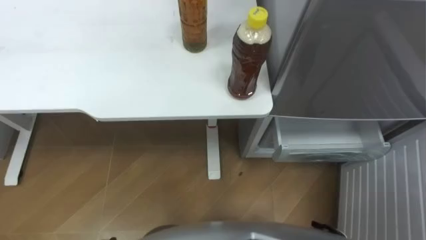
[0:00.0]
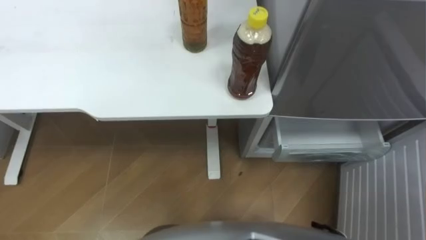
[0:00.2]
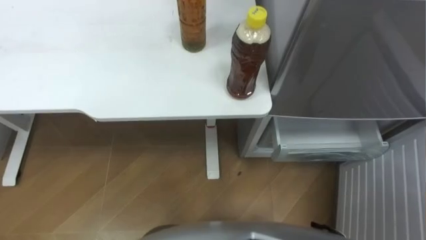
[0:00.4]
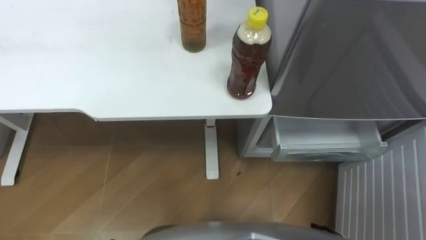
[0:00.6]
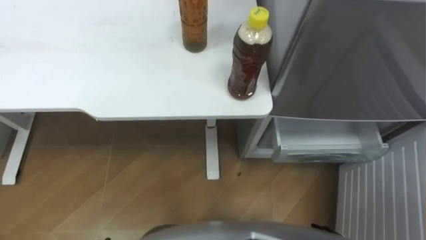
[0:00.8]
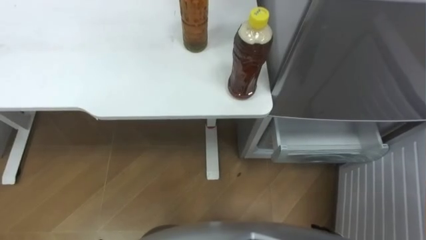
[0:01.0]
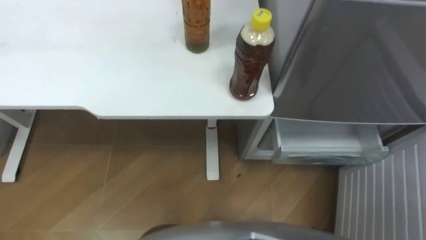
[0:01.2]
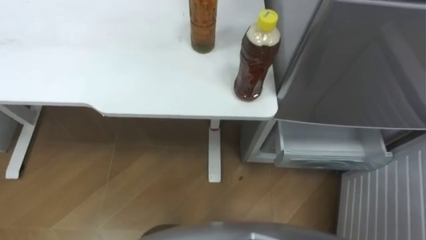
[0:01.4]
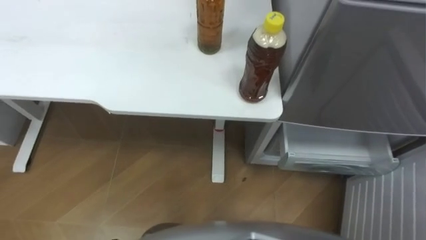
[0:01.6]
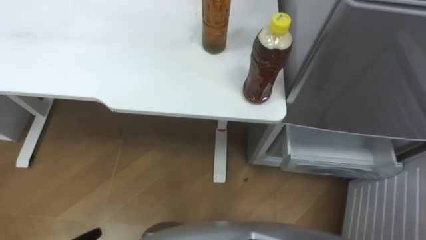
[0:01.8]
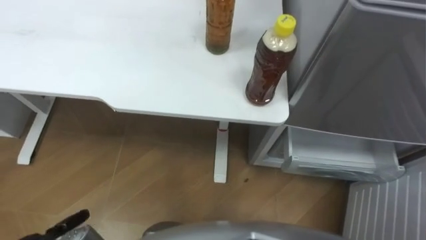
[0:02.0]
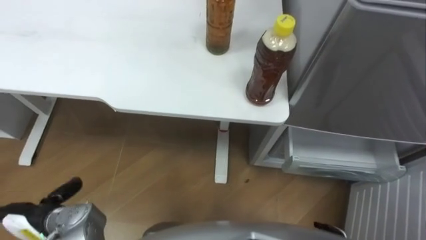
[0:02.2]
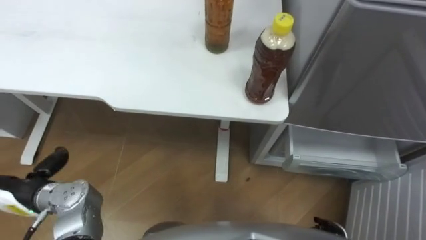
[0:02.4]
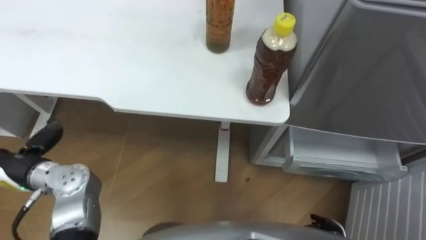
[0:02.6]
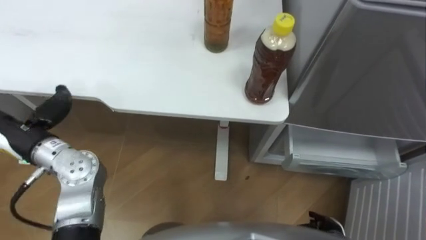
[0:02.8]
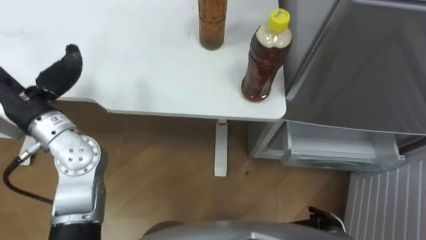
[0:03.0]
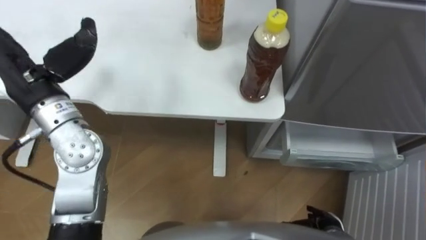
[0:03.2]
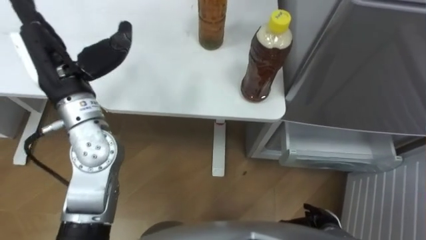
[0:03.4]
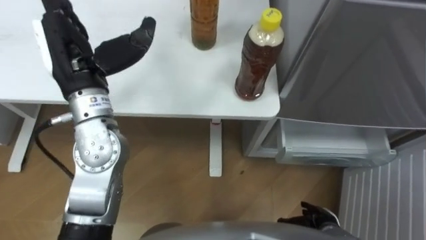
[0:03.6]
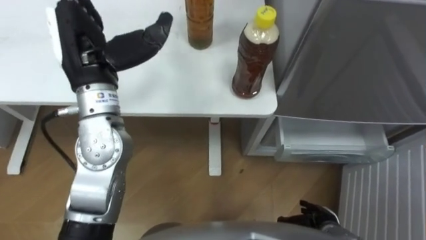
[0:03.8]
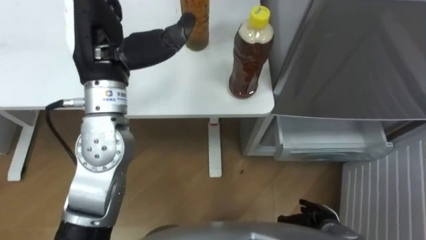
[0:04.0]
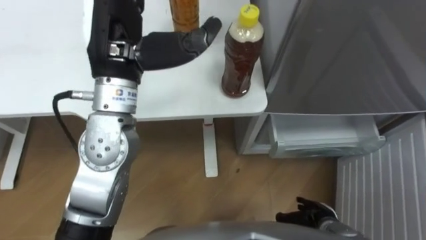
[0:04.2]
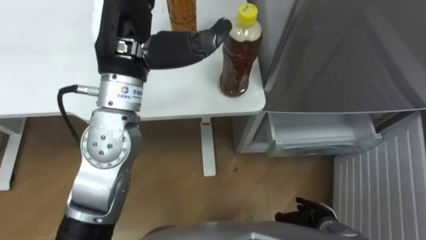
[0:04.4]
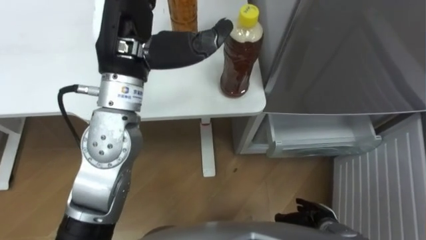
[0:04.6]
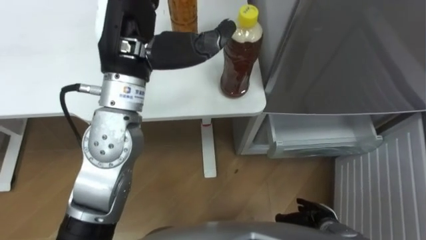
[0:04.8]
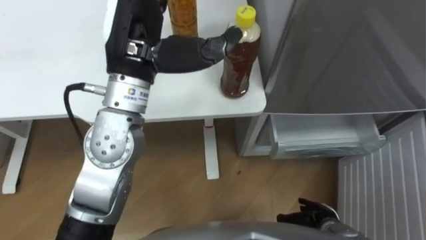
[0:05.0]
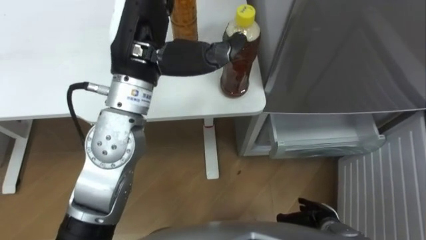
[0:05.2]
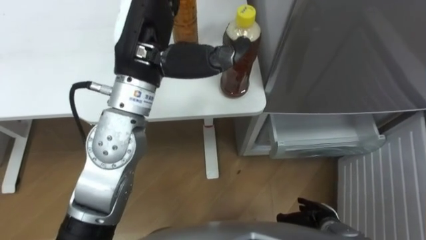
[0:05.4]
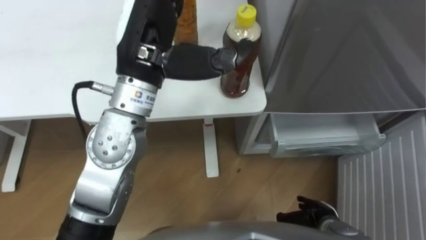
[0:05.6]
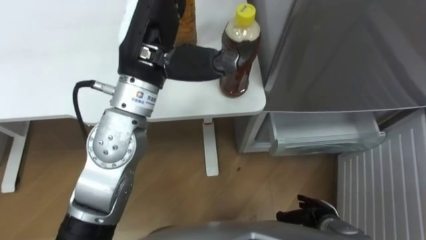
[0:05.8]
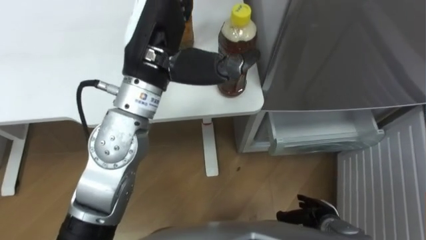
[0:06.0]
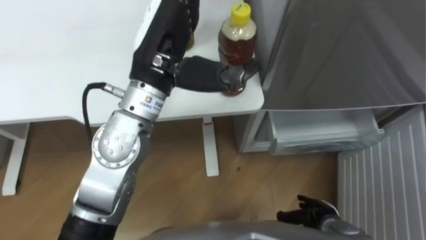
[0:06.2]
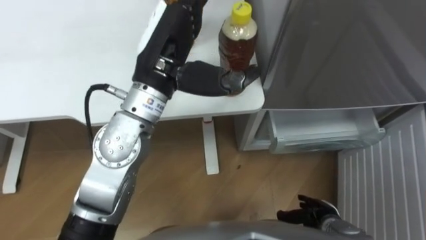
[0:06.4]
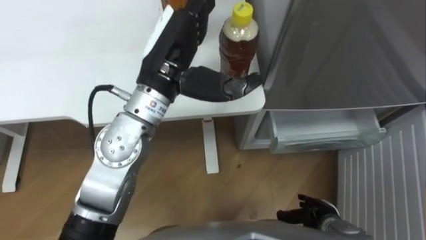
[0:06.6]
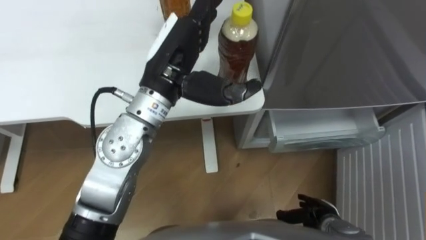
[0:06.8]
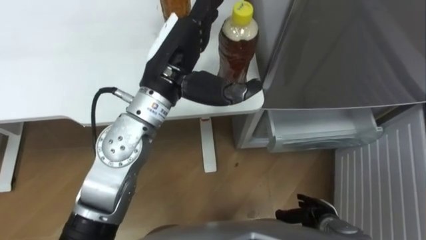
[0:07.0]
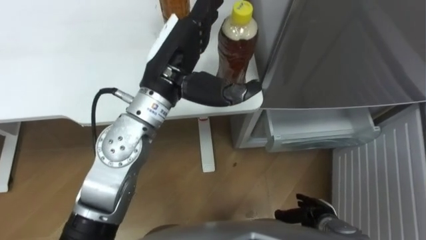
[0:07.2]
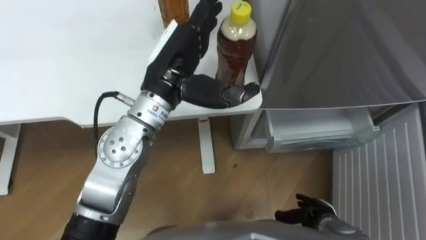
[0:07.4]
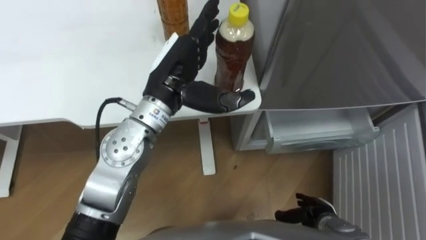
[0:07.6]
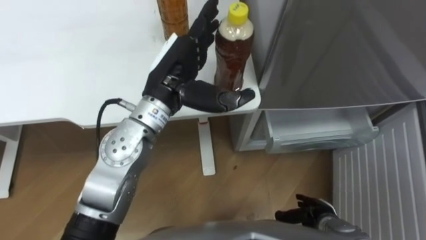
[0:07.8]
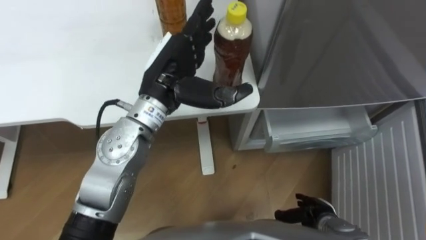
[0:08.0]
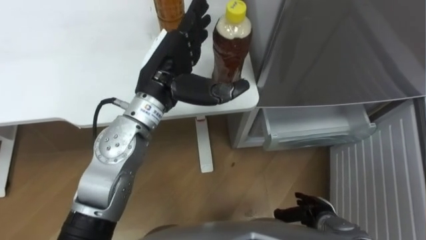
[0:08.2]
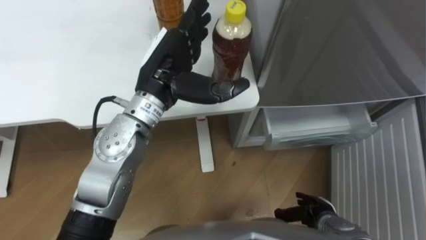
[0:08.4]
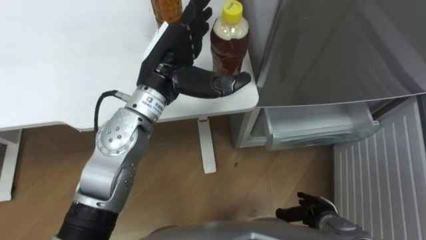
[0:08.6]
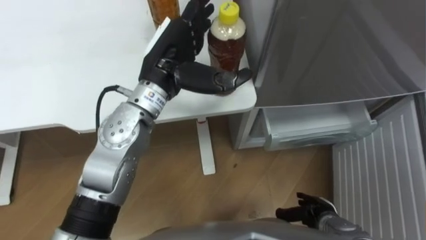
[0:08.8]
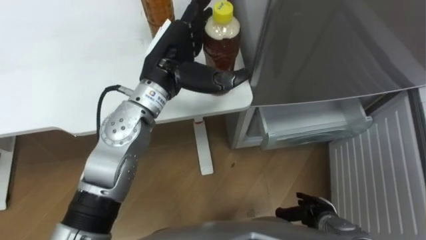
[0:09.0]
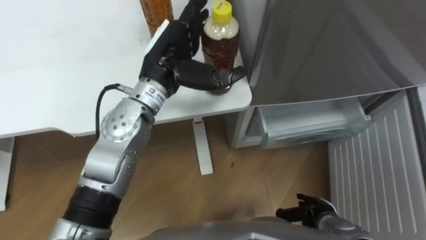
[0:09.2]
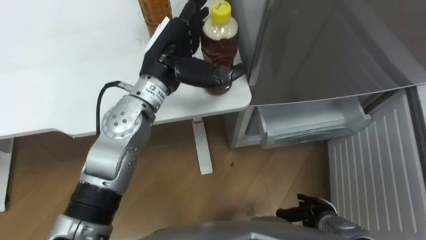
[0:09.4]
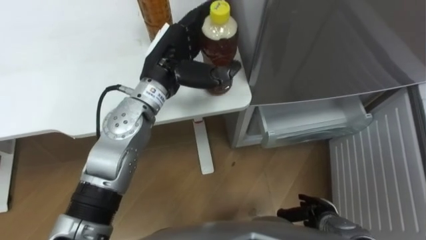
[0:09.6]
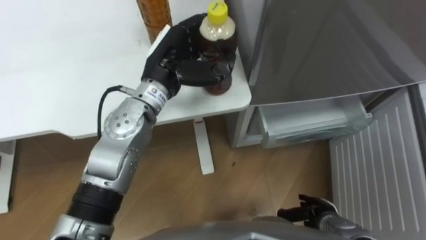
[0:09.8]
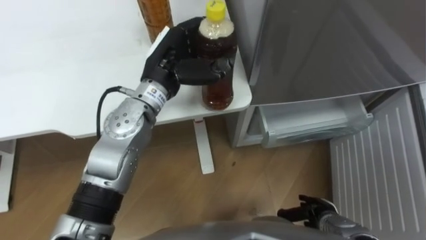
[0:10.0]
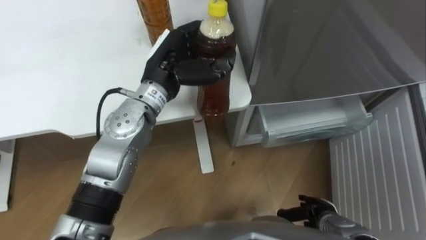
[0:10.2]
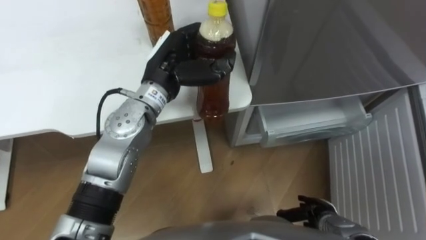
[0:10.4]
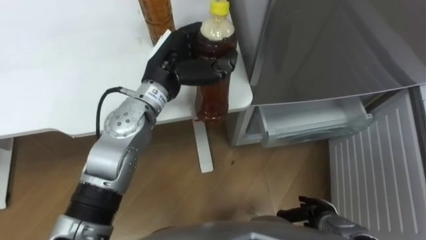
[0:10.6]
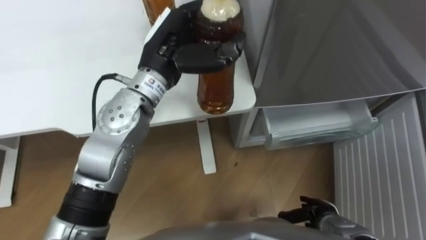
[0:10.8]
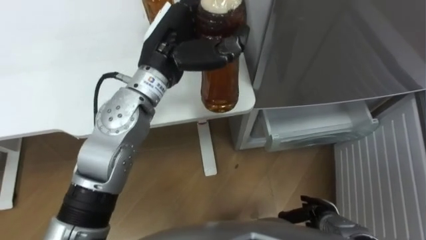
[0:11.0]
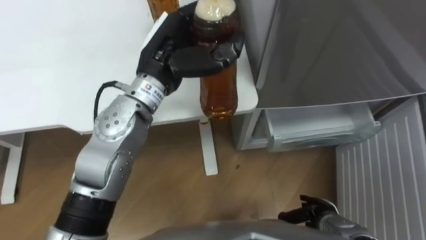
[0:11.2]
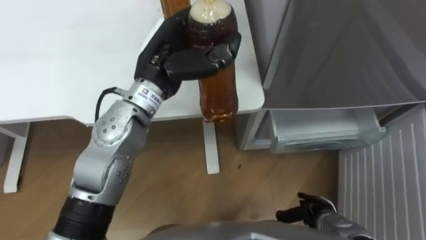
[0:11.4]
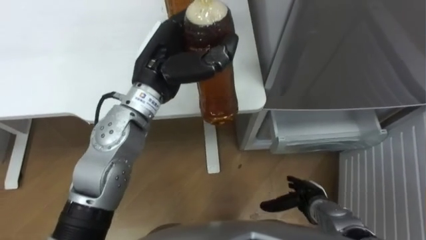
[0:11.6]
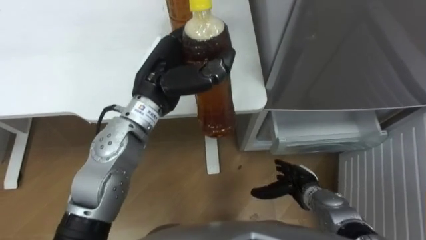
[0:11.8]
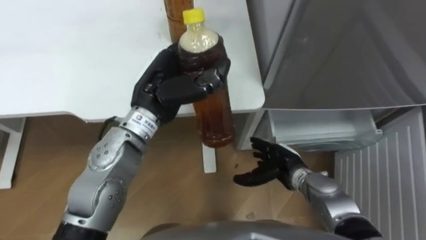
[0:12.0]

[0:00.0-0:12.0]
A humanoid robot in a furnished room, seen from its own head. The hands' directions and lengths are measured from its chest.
Task of the whole recording: Place the drink on the table on the bottom shelf of the refrigerator, then close the drawer and the refrigerator door.
0:03.0 to 0:04.4: The left hand shifts approximately 20 cm to the right and upward.
0:06.0 to 0:07.6: The left hand heads downward, covering some 10 cm.
0:09.0 to 0:10.4: The left hand closes its fingers.
0:10.4 to 0:12.0: The right hand moves forward, to the left and upward, about 15 cm.

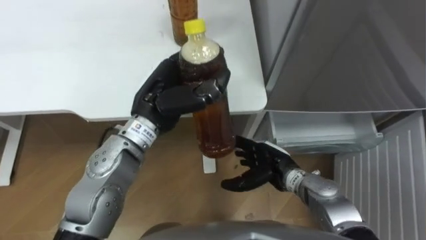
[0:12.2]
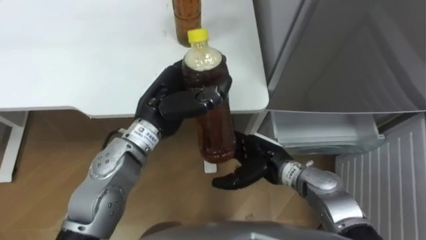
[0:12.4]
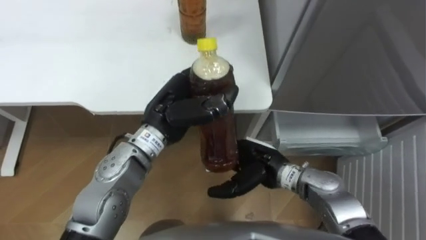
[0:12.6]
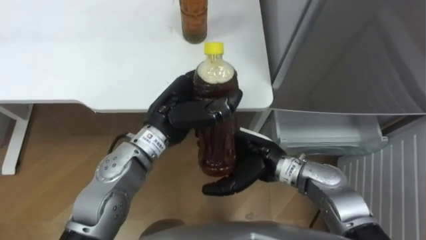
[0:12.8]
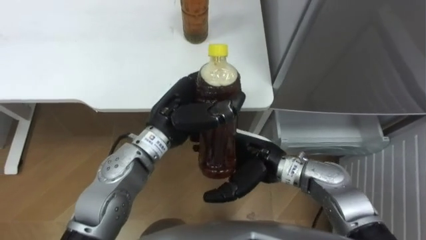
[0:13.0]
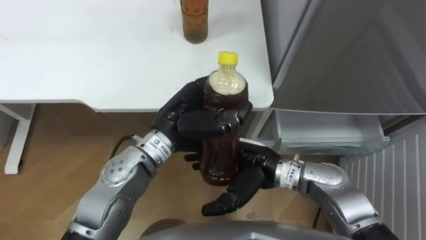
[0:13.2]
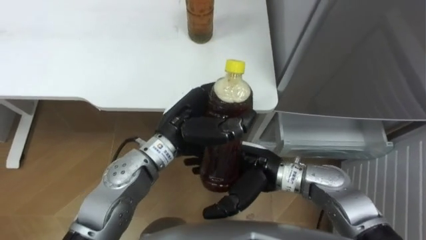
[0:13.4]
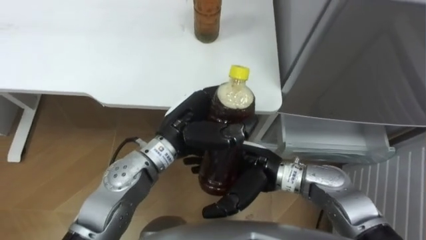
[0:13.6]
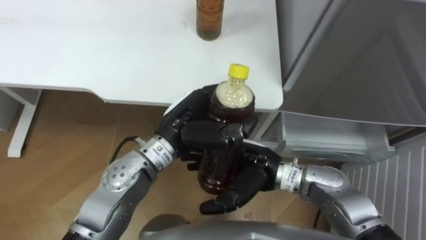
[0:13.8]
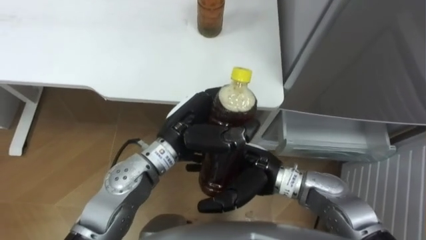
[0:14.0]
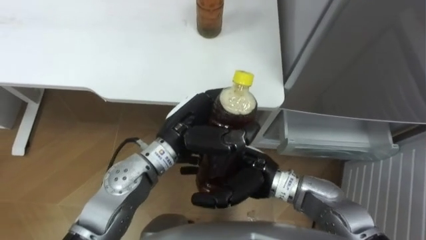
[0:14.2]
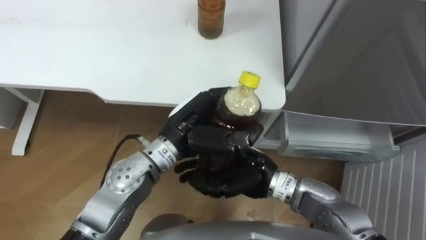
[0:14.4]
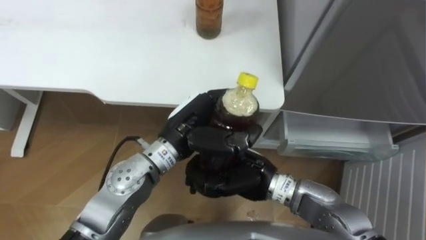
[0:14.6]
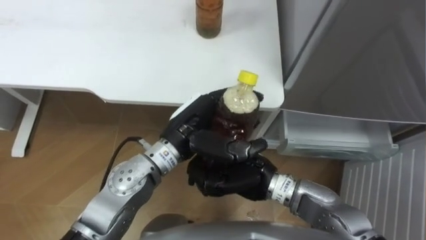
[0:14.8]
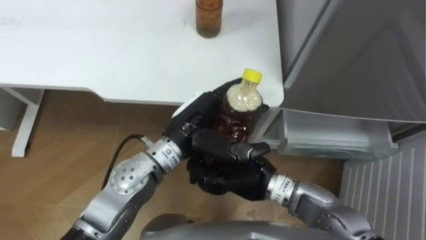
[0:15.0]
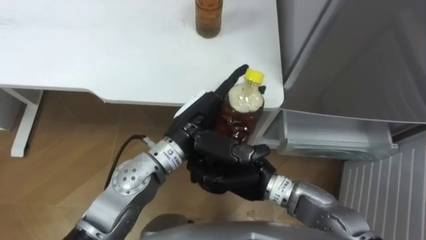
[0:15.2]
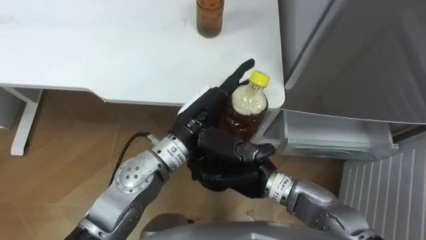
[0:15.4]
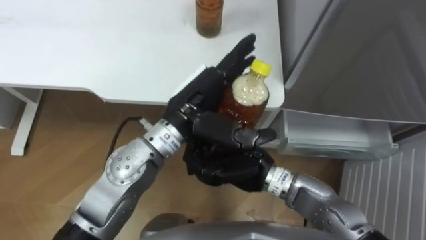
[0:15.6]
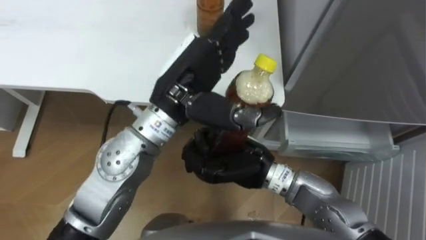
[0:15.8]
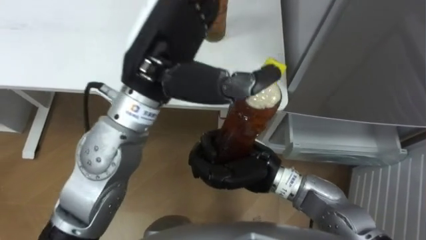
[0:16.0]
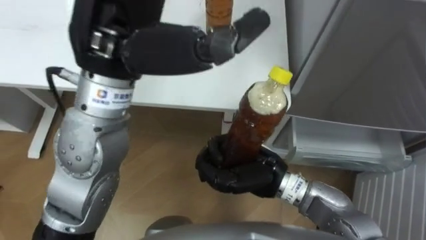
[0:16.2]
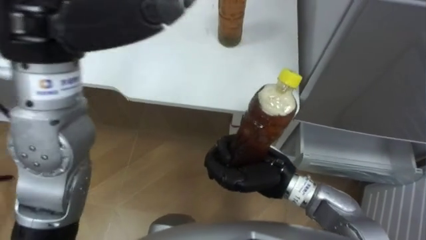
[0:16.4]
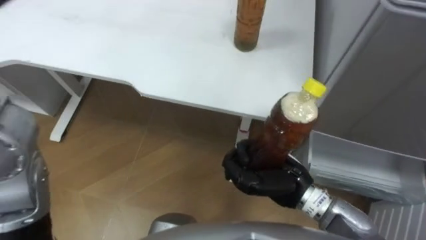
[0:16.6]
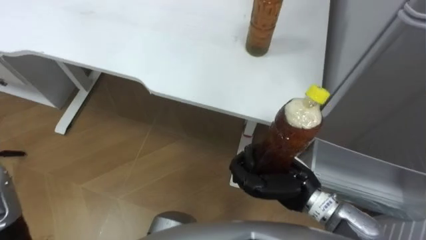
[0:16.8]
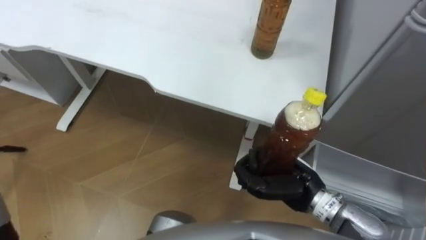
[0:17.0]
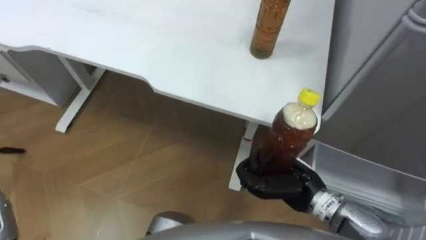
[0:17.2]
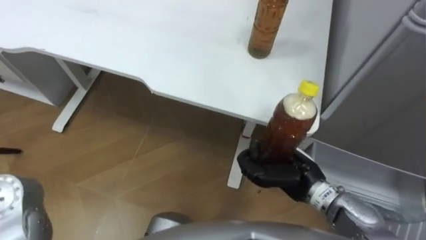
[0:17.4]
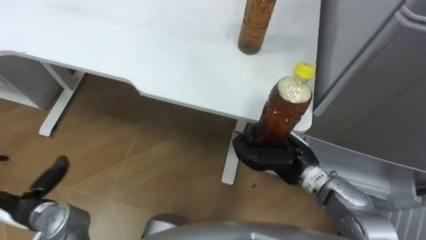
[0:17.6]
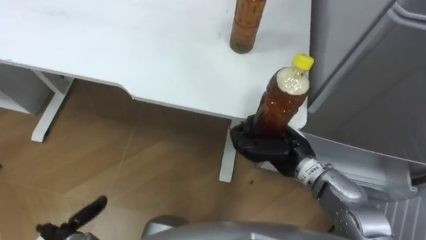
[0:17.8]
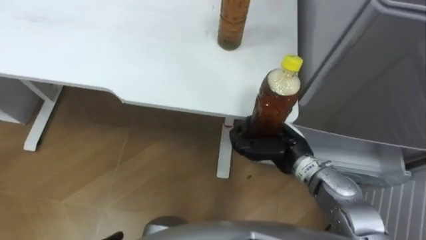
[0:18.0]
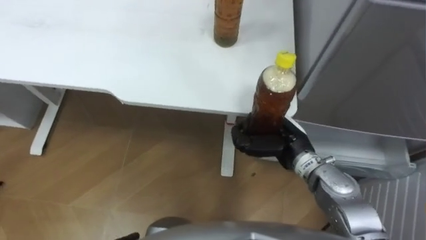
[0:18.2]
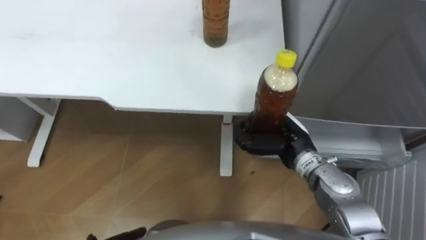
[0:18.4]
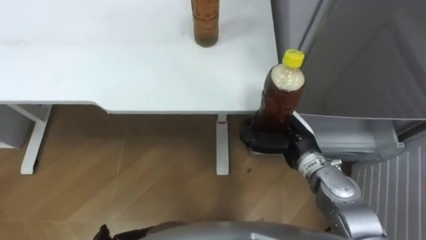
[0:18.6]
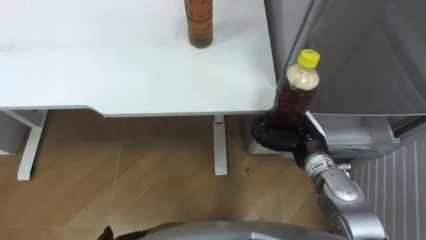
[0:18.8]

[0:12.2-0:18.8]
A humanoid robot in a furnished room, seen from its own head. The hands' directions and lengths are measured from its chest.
Task of the whole recording: Place the drink on the table on the bottom shelf of the refrigerator, then close the drawer and the refrigerator door.
0:12.2 to 0:13.8: The left hand ends up approximately 5 cm from where it was. Meanwhile the right hand goes about 10 cm upward and to the left.
0:13.8 to 0:15.4: The left hand opens, while the right hand closes.
0:15.4 to 0:17.2: The right hand heads to the right, covering roughly 10 cm.
0:17.2 to 0:18.8: The right hand travels forward by some 5 cm.
